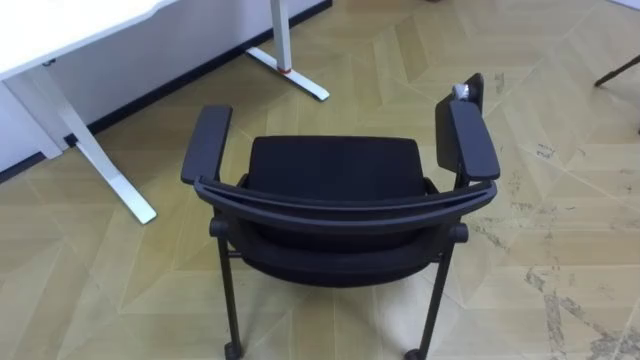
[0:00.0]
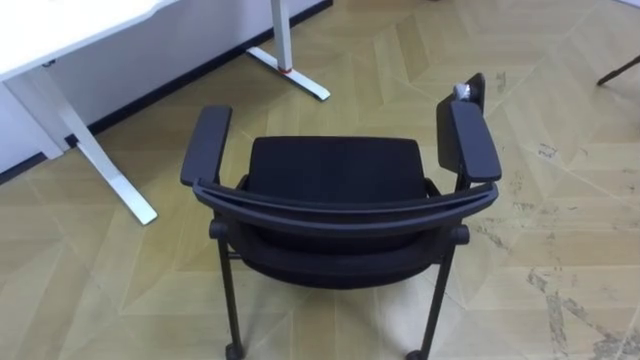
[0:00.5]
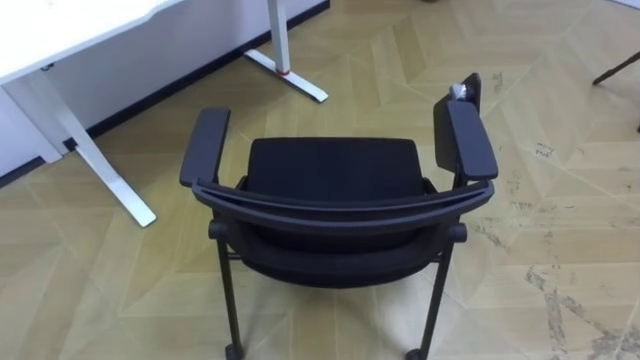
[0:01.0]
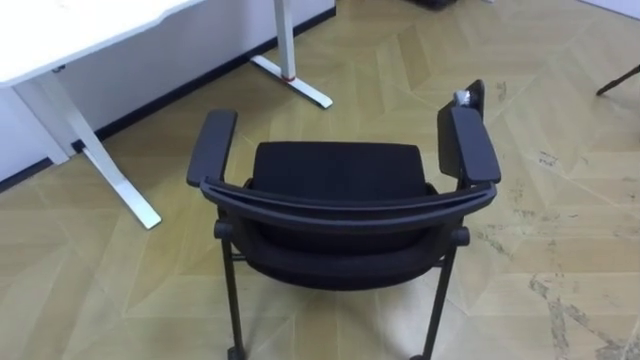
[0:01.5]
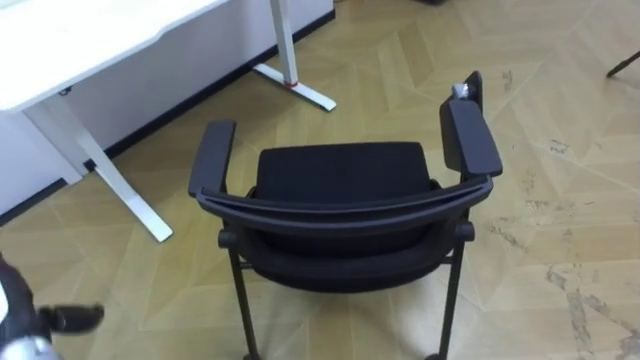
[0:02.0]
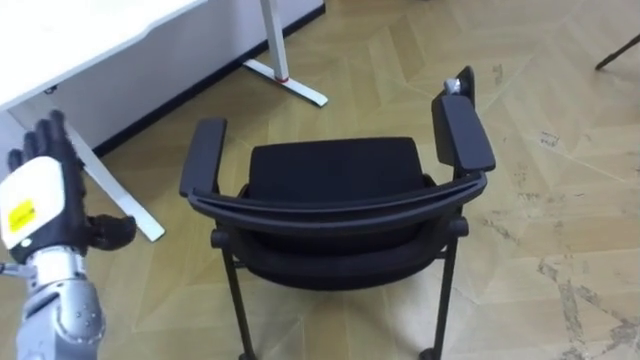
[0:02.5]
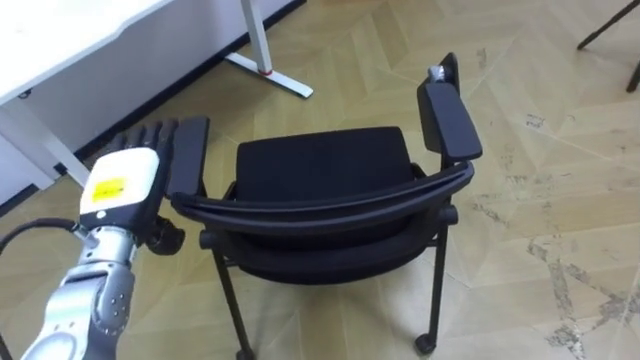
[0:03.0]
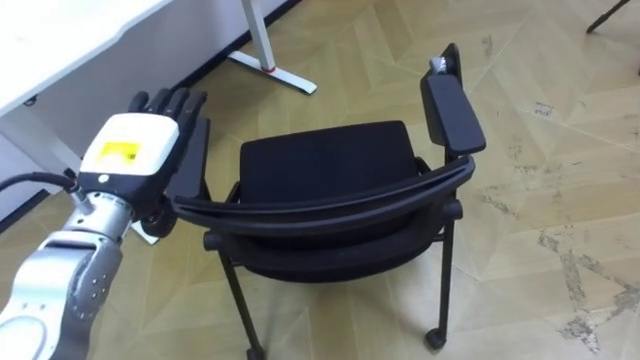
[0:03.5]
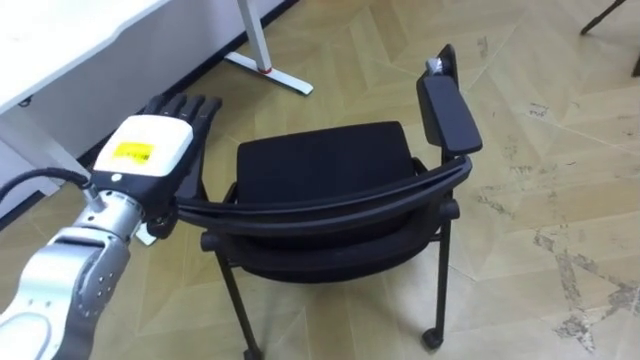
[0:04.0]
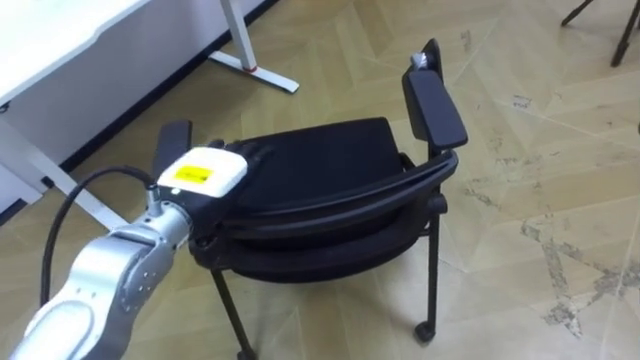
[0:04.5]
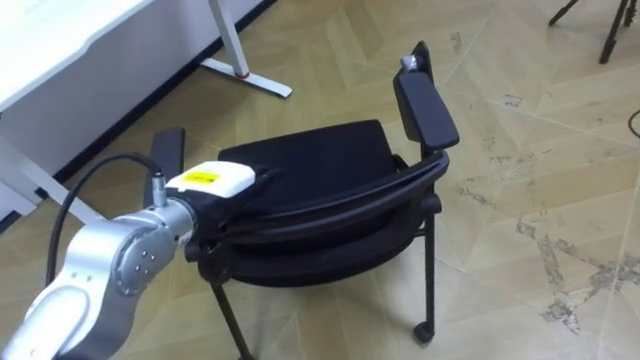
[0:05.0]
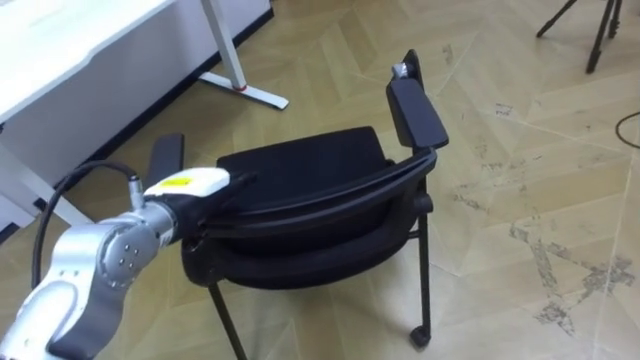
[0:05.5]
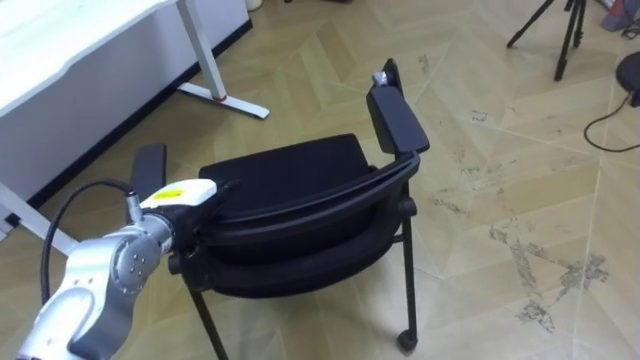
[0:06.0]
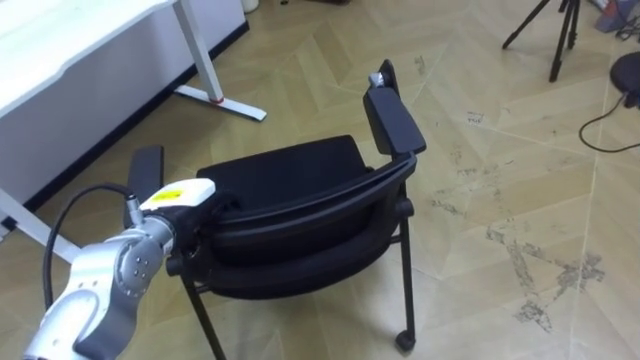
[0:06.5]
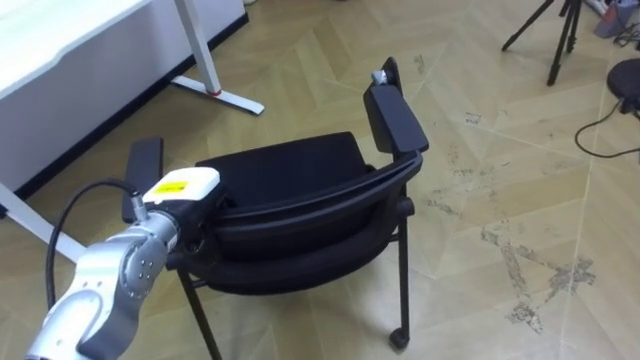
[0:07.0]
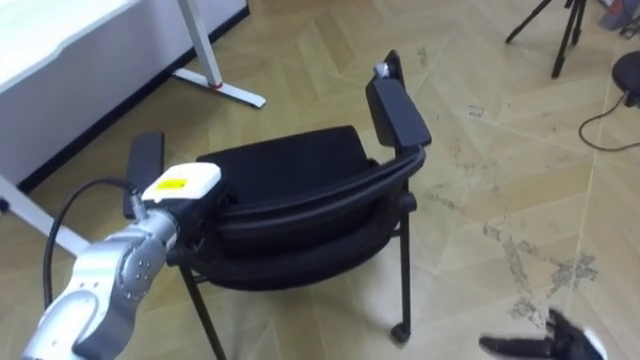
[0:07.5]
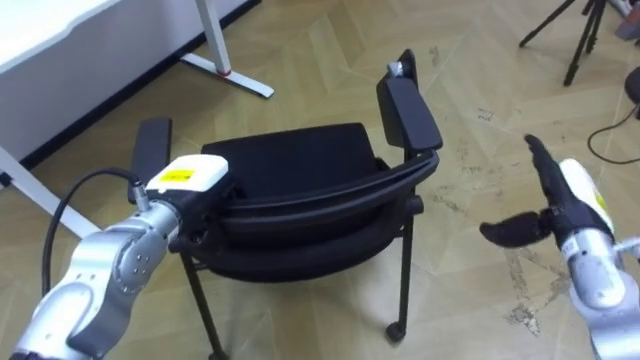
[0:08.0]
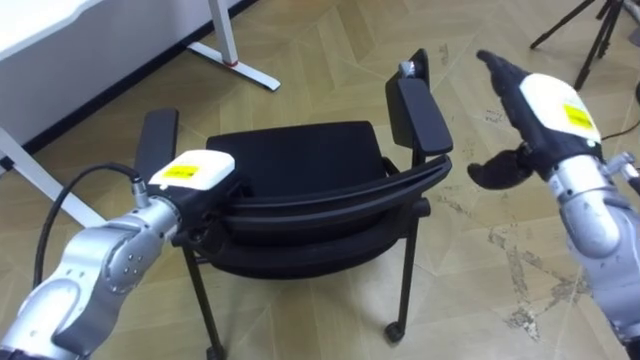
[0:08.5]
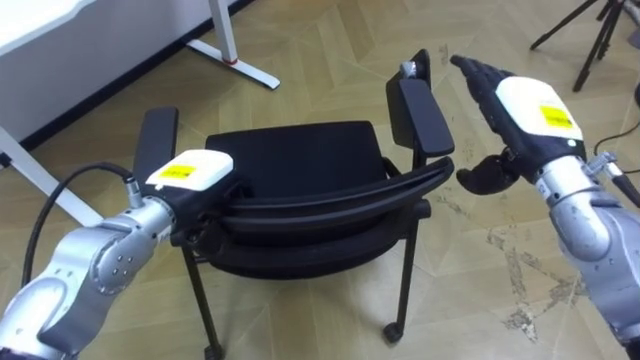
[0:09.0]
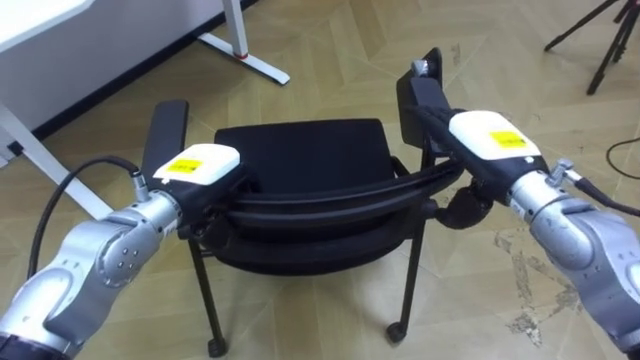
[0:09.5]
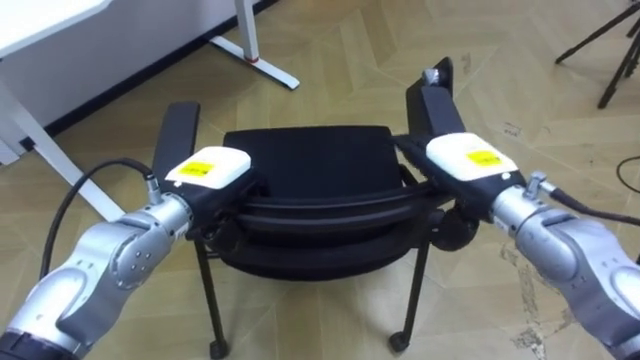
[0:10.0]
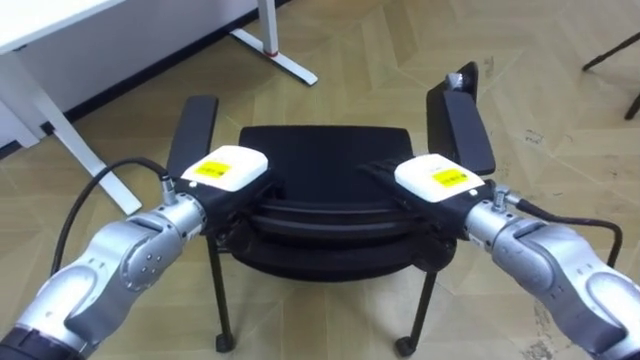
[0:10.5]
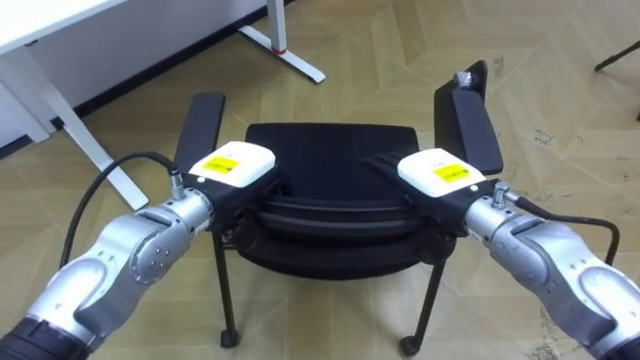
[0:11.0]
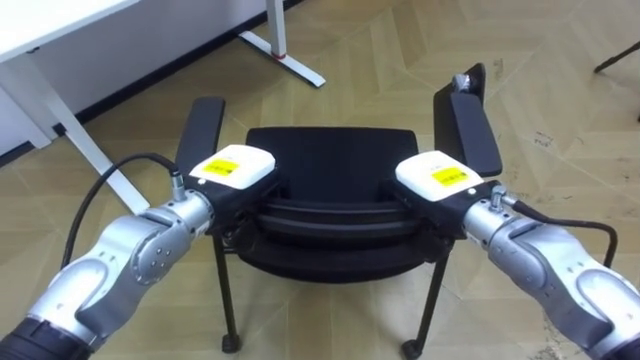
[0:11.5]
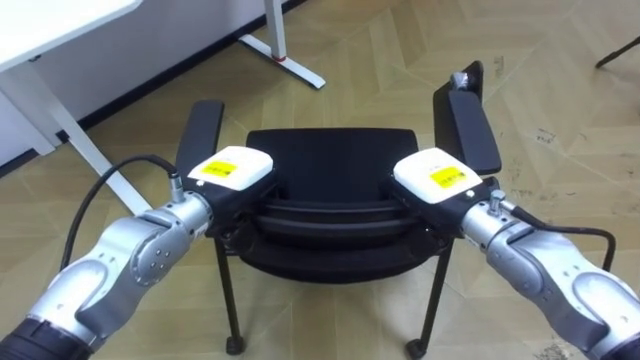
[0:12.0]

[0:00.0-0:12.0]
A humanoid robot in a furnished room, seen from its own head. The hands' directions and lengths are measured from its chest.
Task of the whole recording: Push the chair under the table.
0:02.0 to 0:04.0: The left hand heads to the right, upward and forward, covering about 30 cm.
0:04.0 to 0:06.0: The left hand shifts about 10 cm downward.
0:06.0 to 0:08.0: The left hand closes its fingers.
0:08.0 to 0:10.0: The right hand shifts about 15 cm to the left and upward.
0:10.0 to 0:12.0: The right hand closes its fingers.

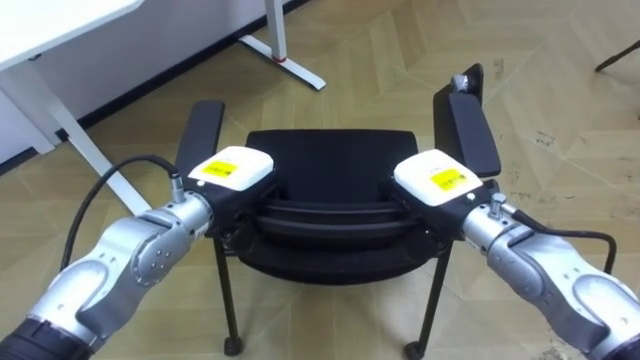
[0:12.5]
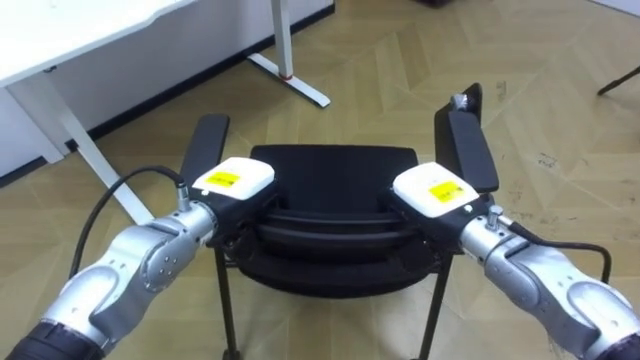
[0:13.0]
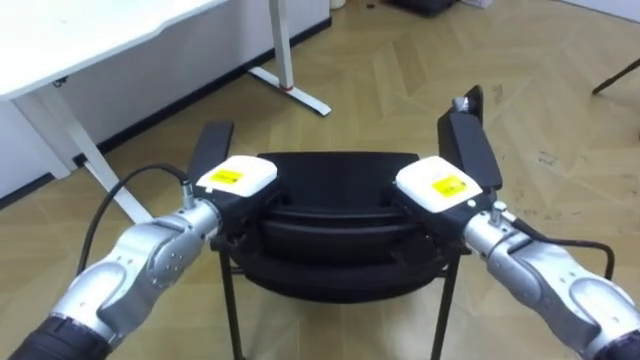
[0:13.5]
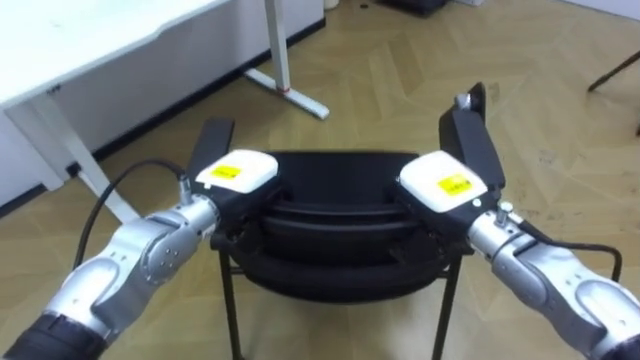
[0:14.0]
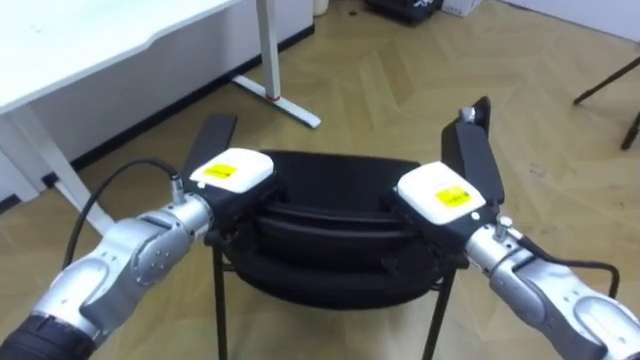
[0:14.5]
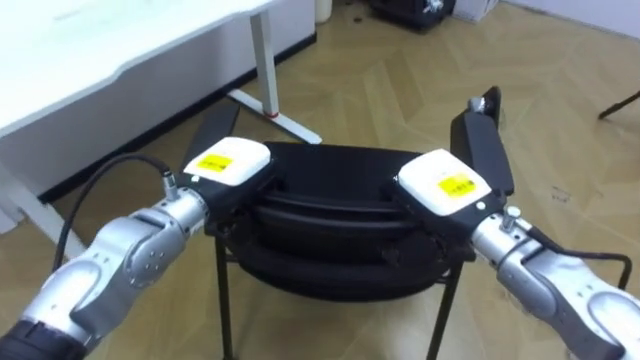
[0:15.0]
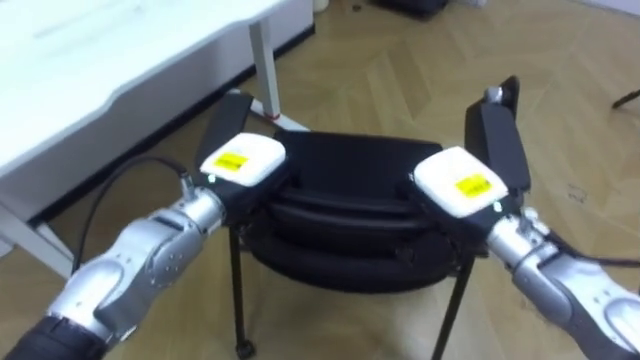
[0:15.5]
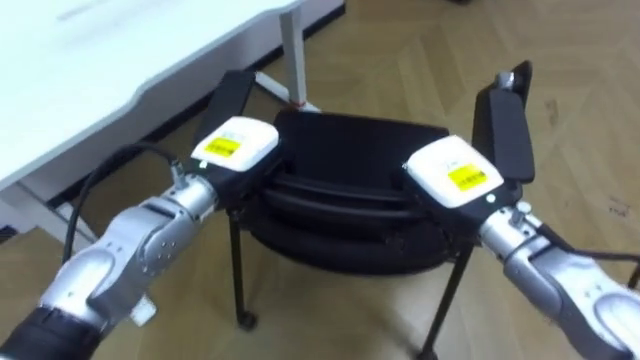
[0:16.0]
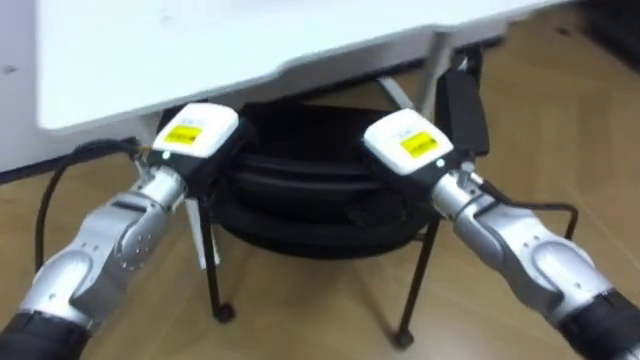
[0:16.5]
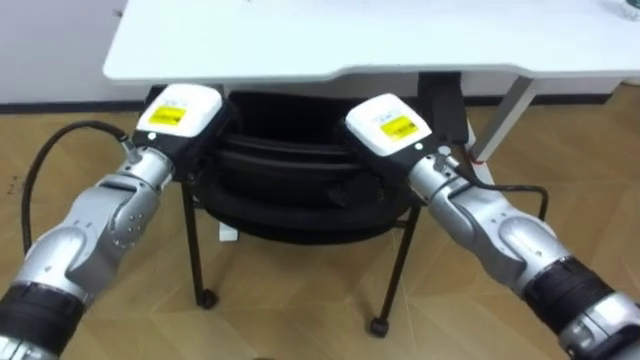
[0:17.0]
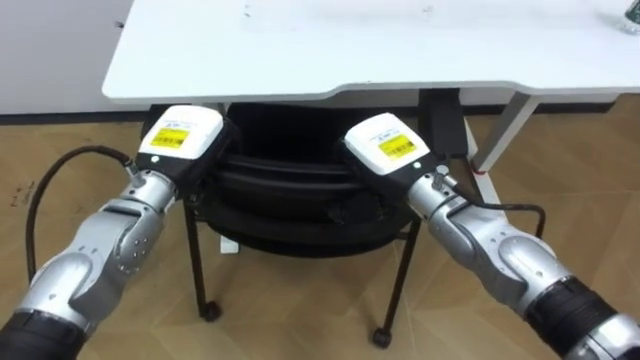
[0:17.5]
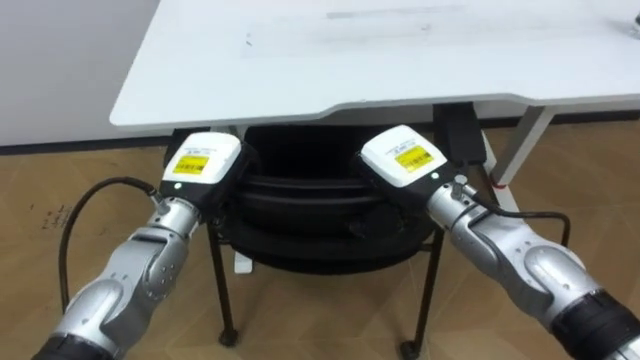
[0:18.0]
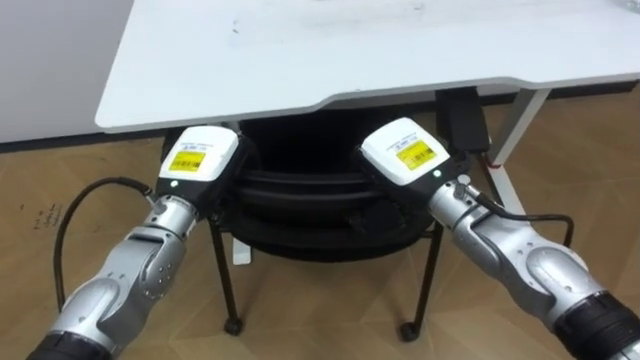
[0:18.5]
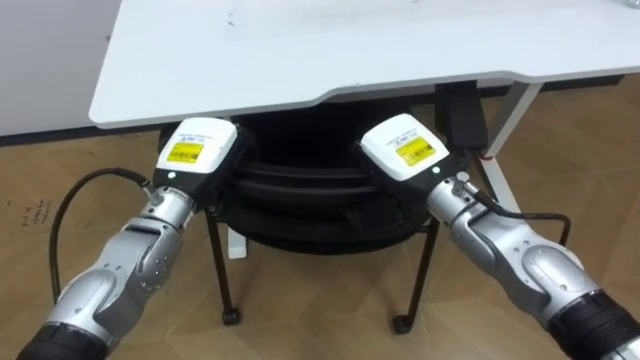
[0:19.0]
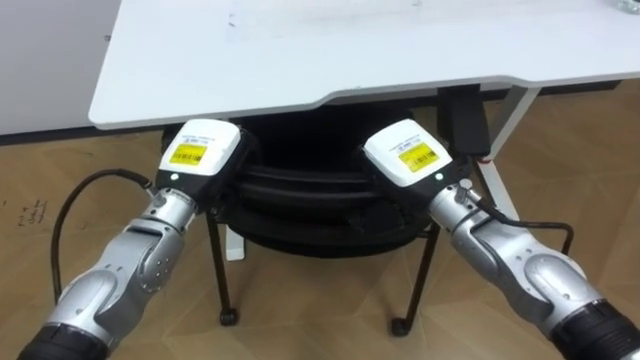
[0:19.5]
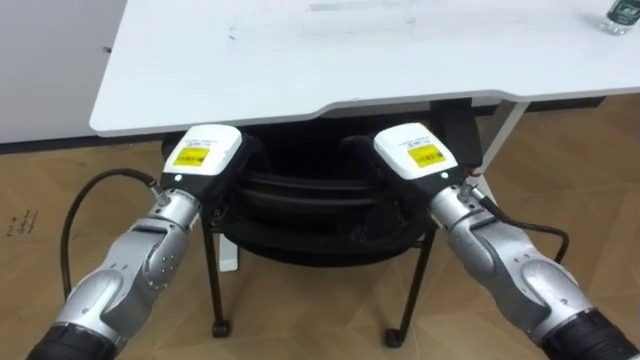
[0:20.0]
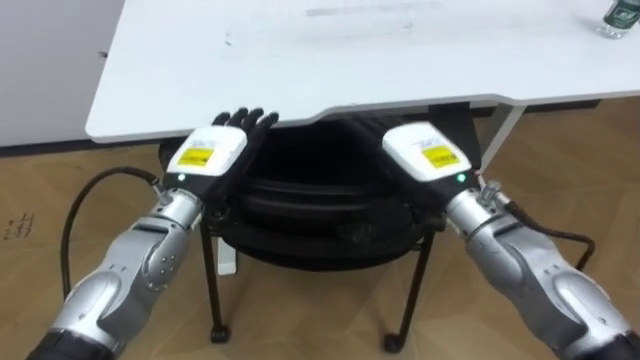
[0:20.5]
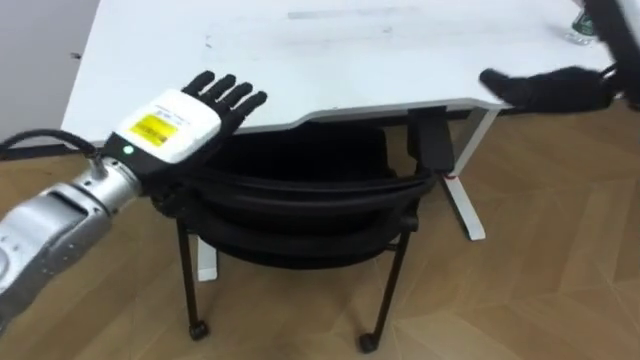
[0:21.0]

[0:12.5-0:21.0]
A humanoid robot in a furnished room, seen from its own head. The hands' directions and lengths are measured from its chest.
Task of the whole recording: Push the chair under the table.
0:14.5 to 0:16.5: The robot rotates about 20 degrees to its left. The left hand changes place by some 5 cm; the right hand ends up roughly 10 cm from where it was.
0:16.5 to 0:19.0: The robot's body swings roughly 15 degrees to its left.
0:19.0 to 0:21.0: The right hand is displaced upward and to the right by approximately 25 cm, and opens; the left hand travels upward by roughly 5 cm, and opens up.
